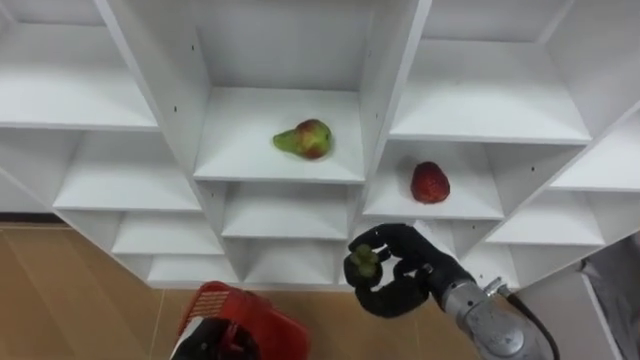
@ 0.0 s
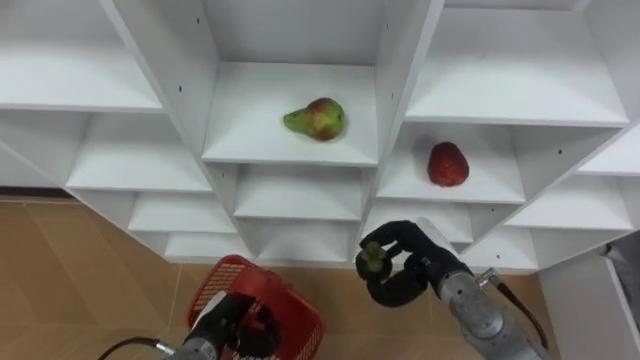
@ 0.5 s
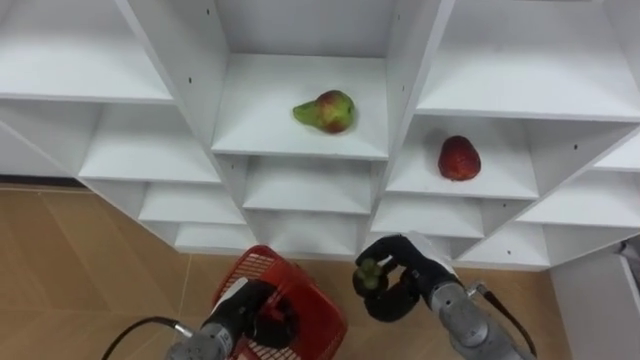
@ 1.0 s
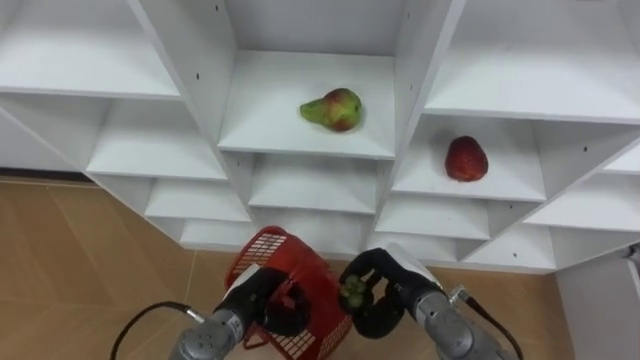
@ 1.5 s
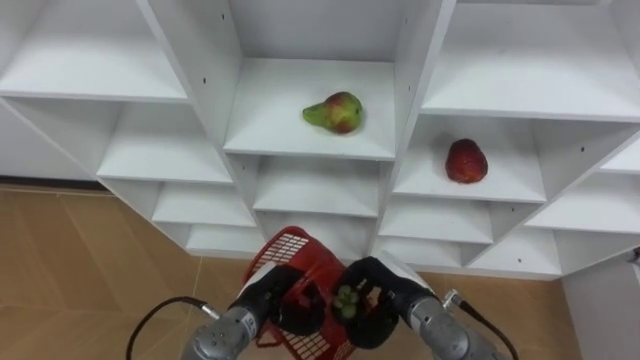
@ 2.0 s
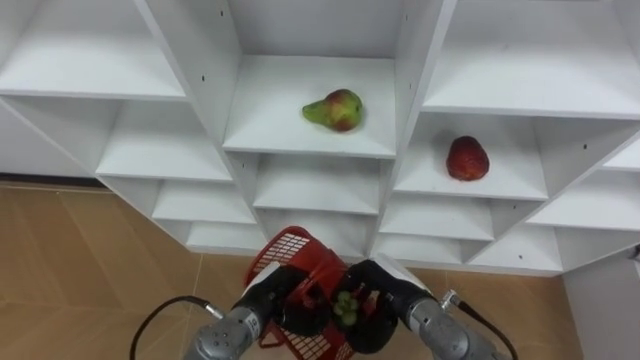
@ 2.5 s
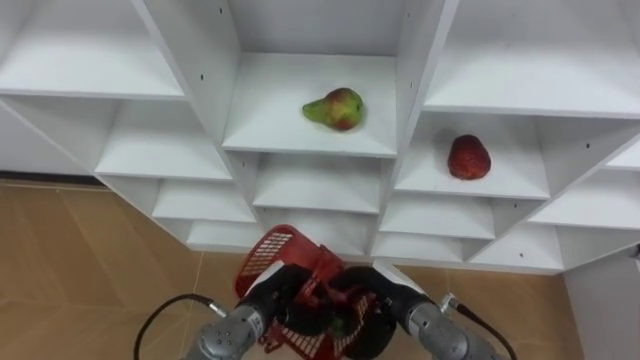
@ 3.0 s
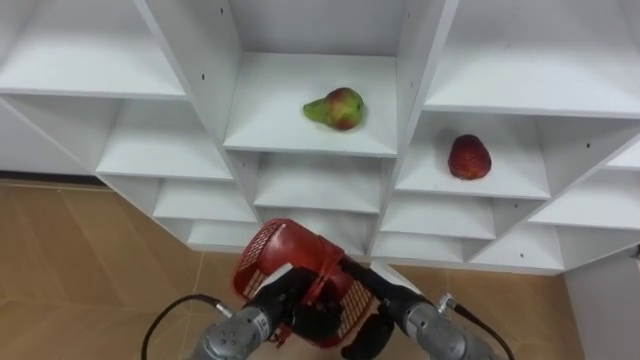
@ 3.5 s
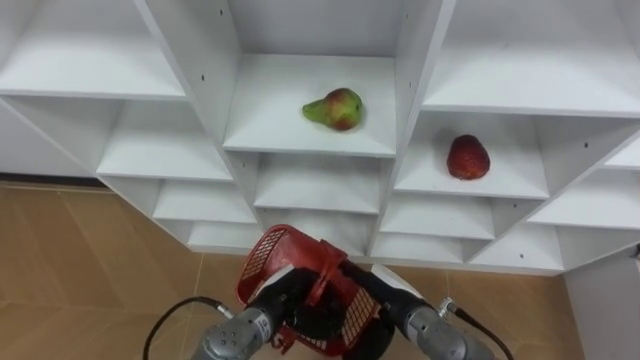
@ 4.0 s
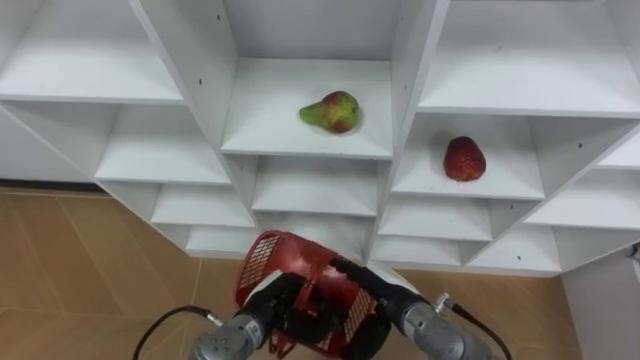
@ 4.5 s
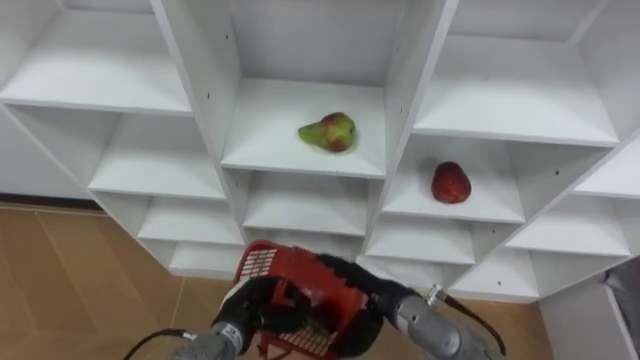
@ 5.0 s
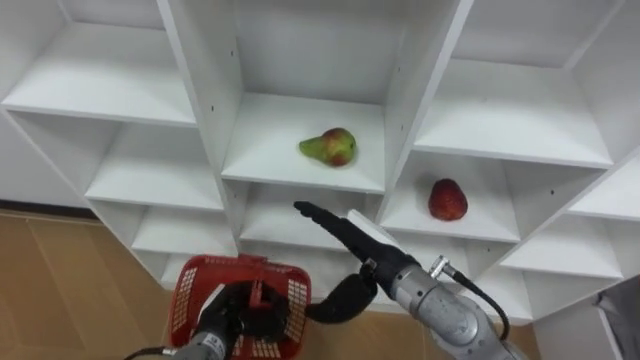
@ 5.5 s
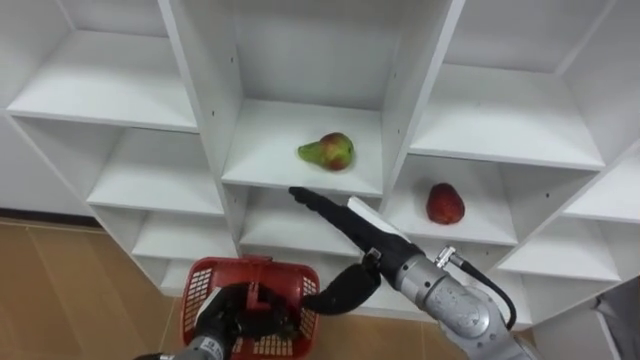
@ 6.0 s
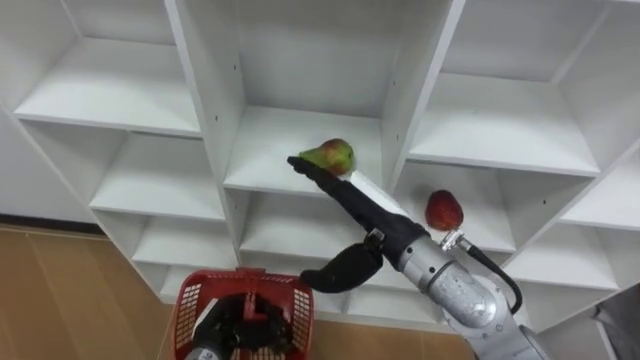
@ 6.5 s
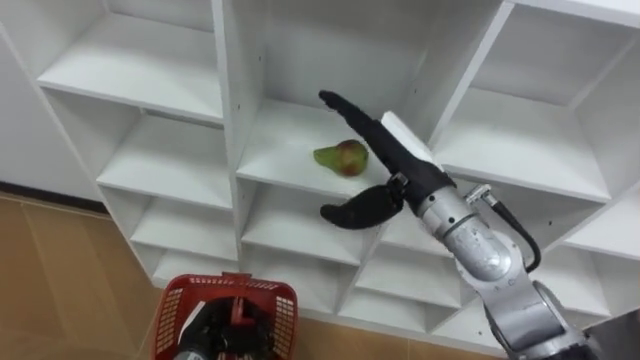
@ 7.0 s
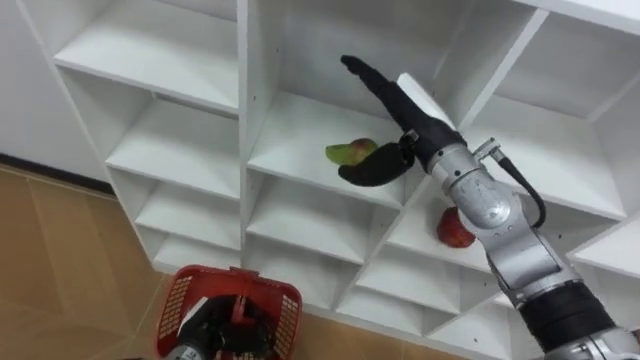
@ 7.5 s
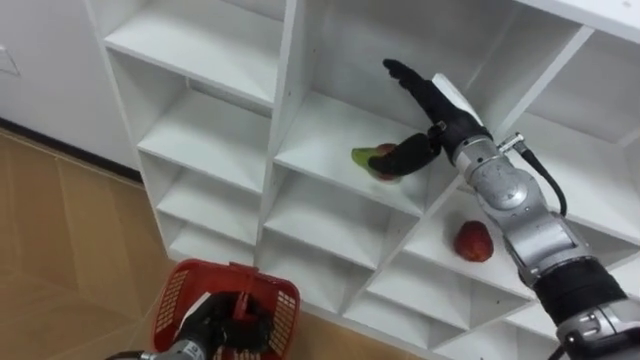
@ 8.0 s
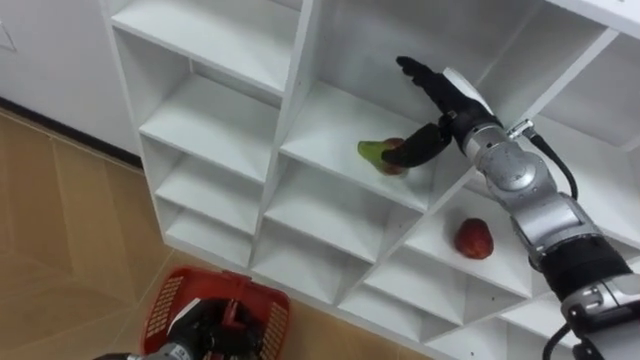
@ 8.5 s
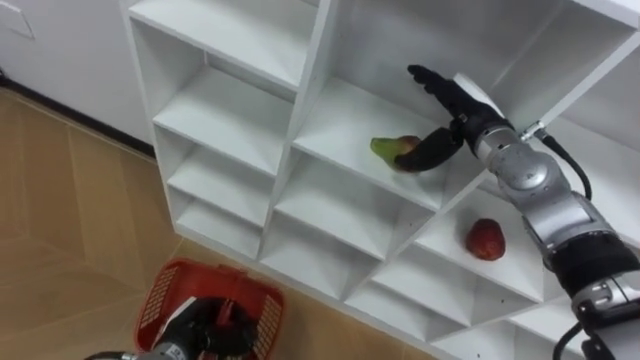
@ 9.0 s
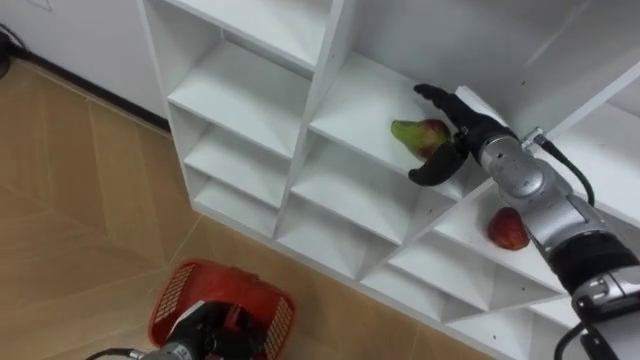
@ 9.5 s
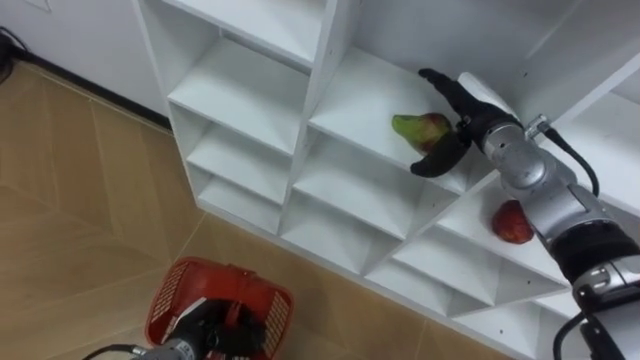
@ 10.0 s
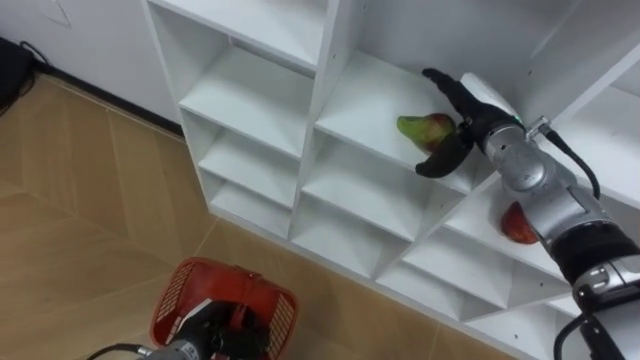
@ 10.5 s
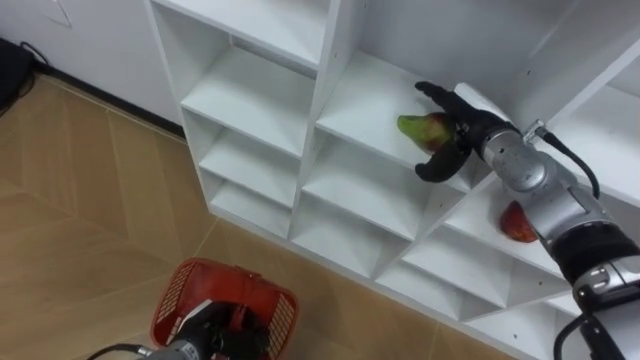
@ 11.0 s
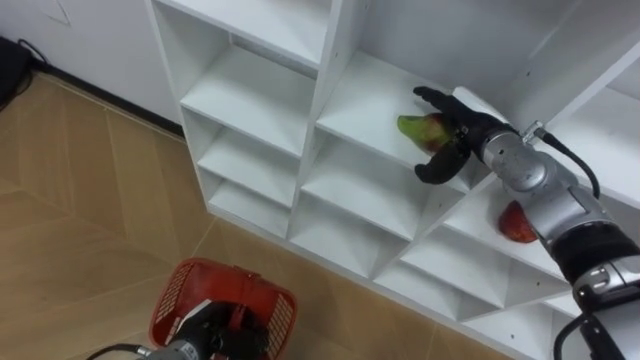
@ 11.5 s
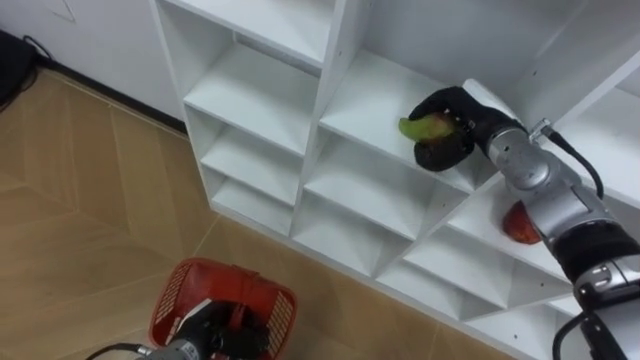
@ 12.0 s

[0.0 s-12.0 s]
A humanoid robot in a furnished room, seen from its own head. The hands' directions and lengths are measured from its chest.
Task of the whole recording: Hold the basket and collect the fruits from 3 different cells of the closet into it.
0.0 to 2.0 s: The left hand goes some 10 cm to the right and forward, while the right hand goes about 5 cm downward.
2.0 to 4.0 s: The right hand opens.
4.0 to 6.0 s: The left hand heads to the left, covering approximately 10 cm. The right hand travels upward by roughly 15 cm.
6.0 to 8.0 s: The right hand shifts roughly 15 cm forward, to the right and upward.
8.0 to 10.0 s: The right hand moves approximately 5 cm.
10.0 to 12.0 s: The right hand closes.

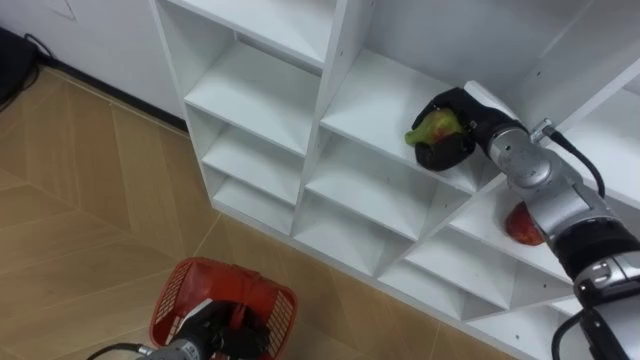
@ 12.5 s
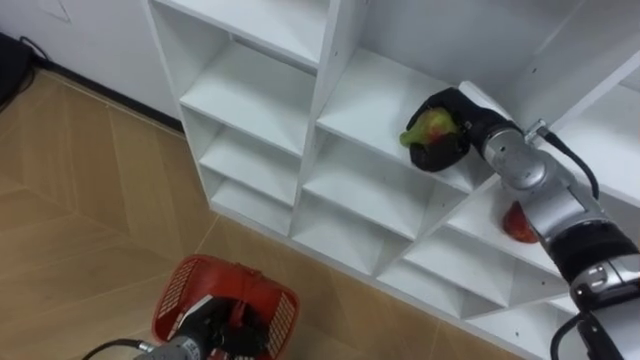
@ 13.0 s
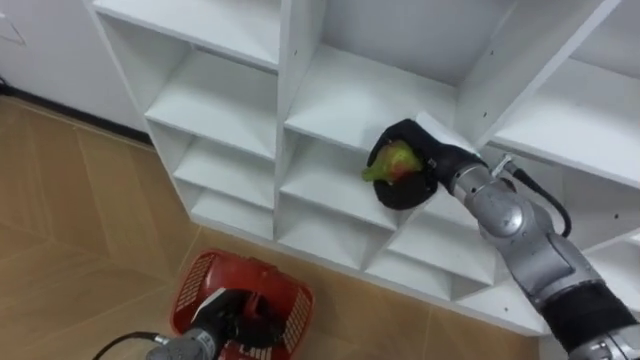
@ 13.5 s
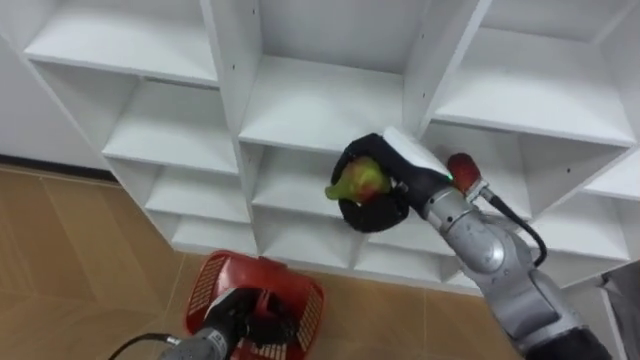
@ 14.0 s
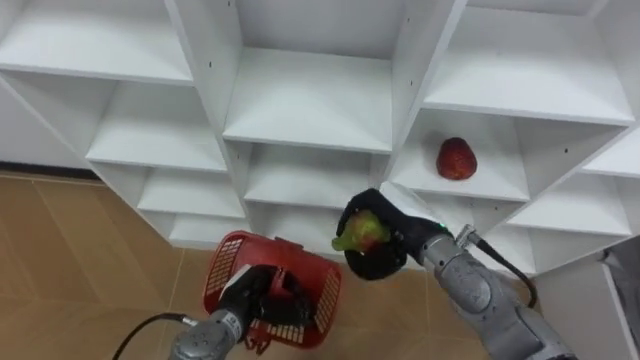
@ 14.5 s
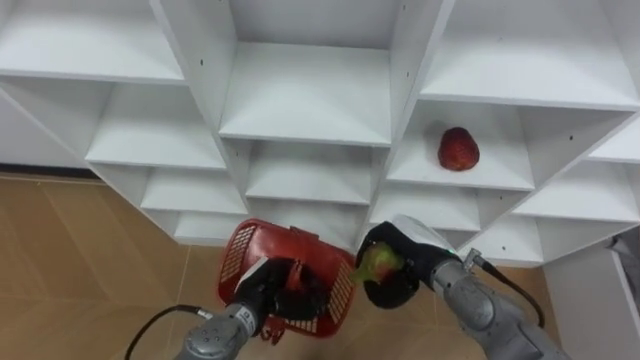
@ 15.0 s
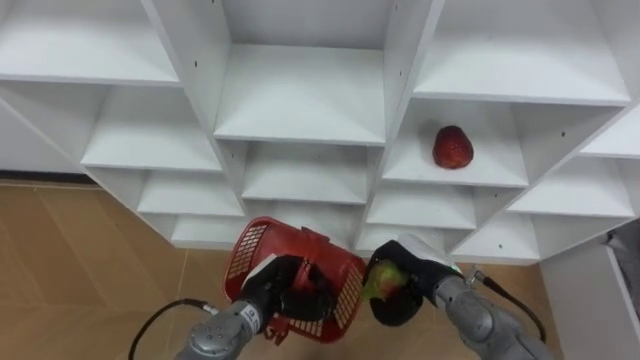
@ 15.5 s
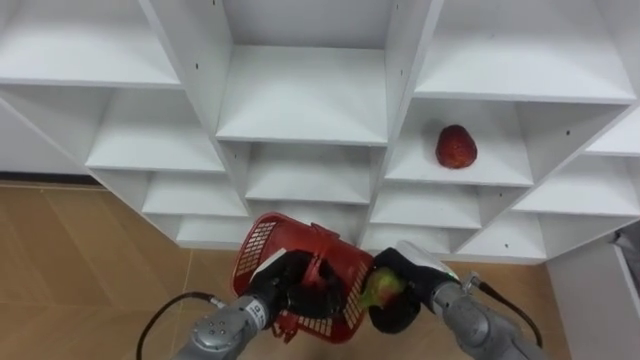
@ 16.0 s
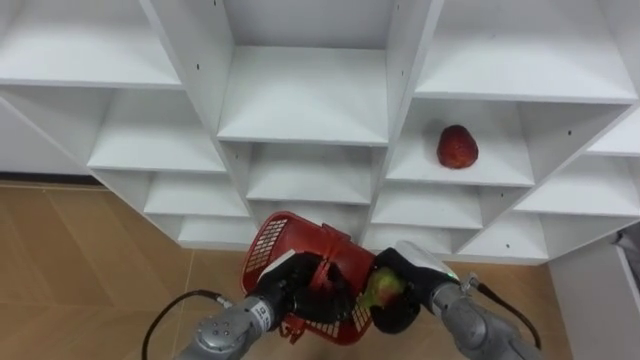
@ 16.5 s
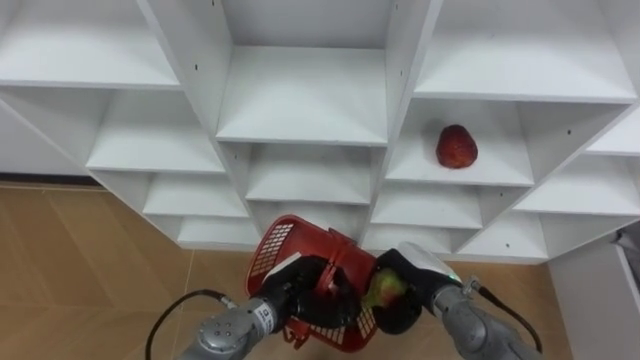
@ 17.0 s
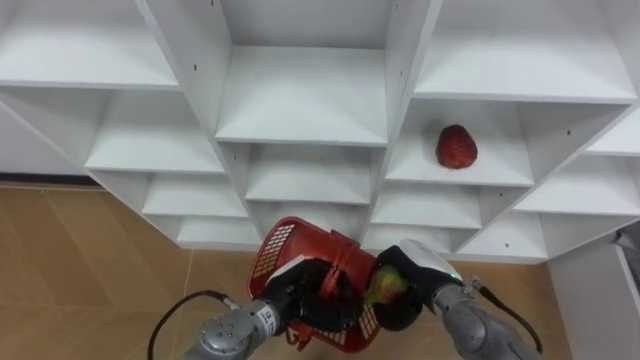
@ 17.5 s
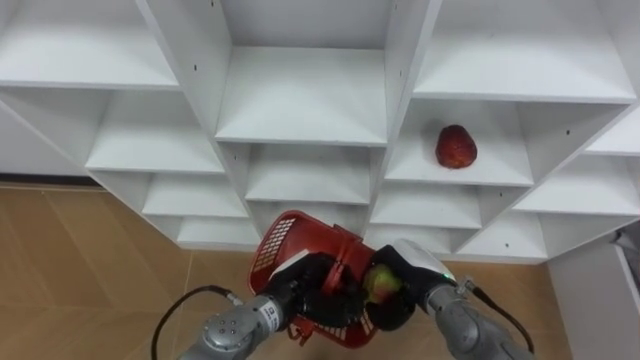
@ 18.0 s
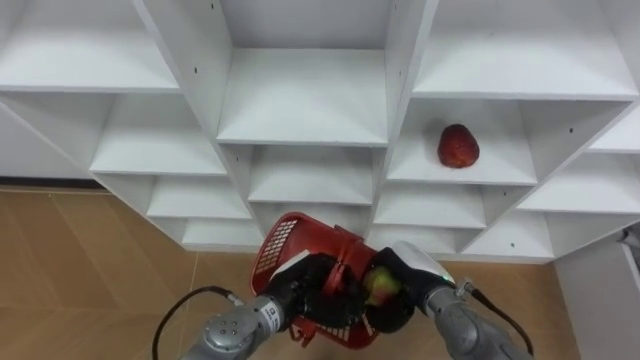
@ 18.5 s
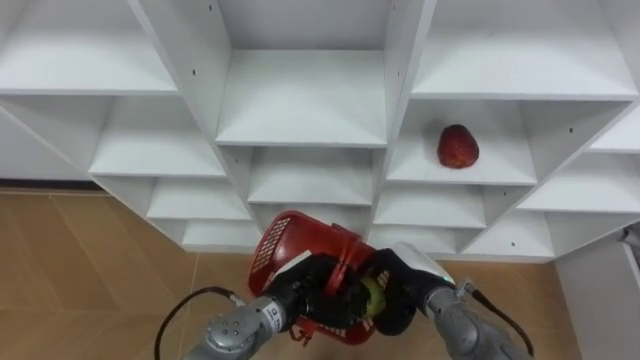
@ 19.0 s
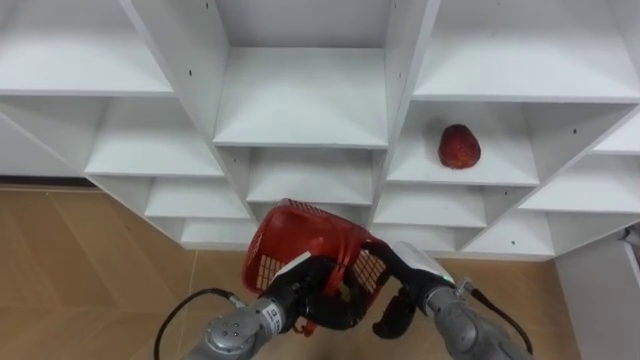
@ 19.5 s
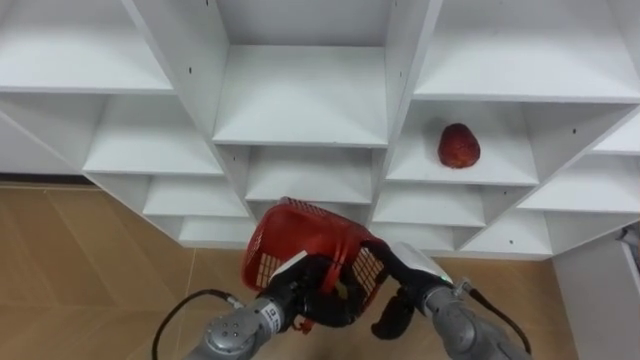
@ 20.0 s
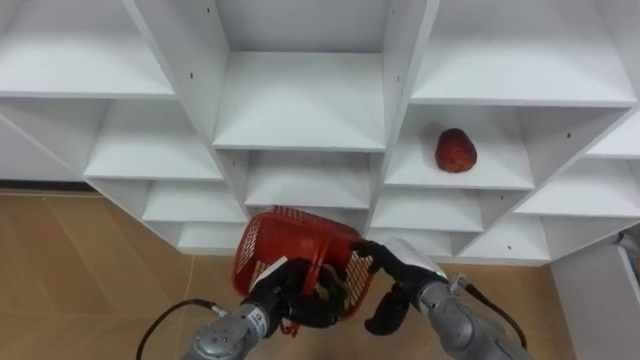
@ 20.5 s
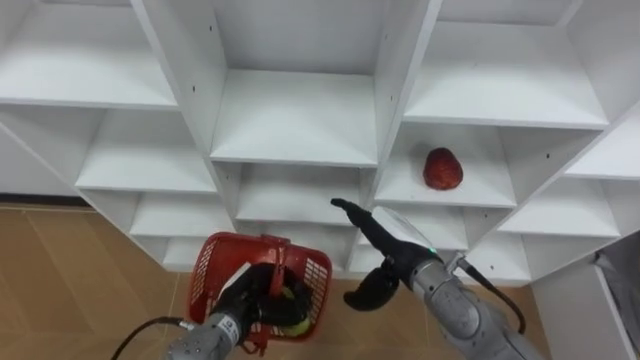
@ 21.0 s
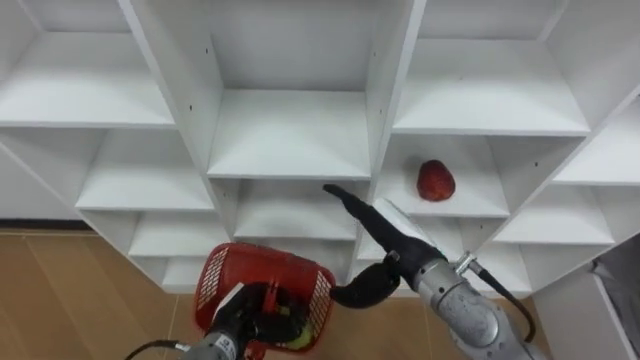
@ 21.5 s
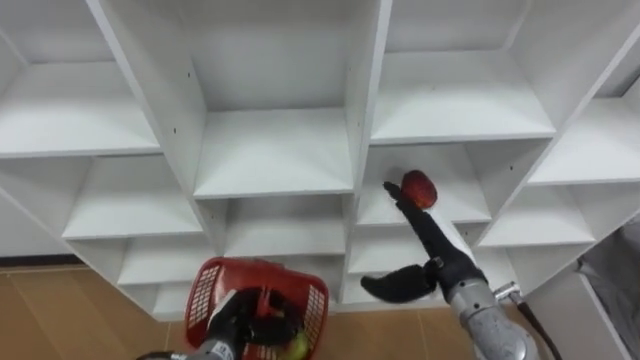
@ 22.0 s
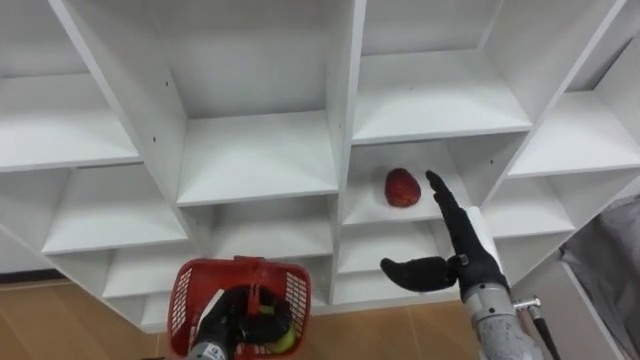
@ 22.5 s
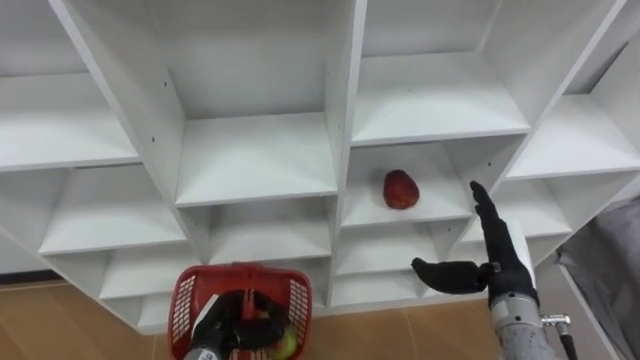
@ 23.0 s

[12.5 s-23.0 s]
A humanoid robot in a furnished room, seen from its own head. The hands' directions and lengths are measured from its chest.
Task of the whole recording: Hold the basket and collect the fruits from 3 different cells of the closet into it.
12.5 to 14.5 s: The left hand heads to the right, covering about 5 cm. The right hand travels backward, to the left and downward by approximately 15 cm.
14.5 to 16.5 s: The left hand heads to the right, covering roughly 5 cm, while the right hand shifts roughly 10 cm downward.
16.5 to 19.0 s: The hands stay close to where they were, moving slightly.
19.0 to 21.0 s: The left hand moves to the left, approximately 10 cm. The right hand heads upward, covering roughly 5 cm, and opens up.
21.0 to 23.0 s: The right hand is displaced to the right by about 15 cm. The left hand changes place by some 5 cm.
